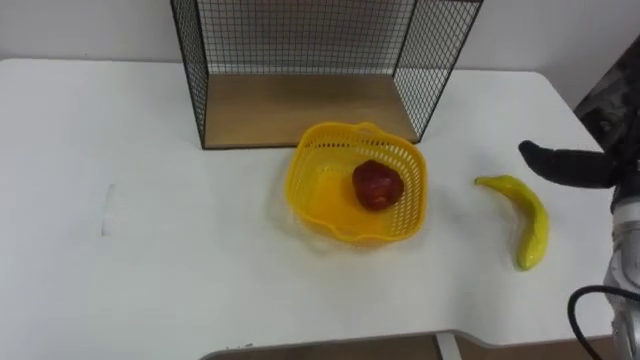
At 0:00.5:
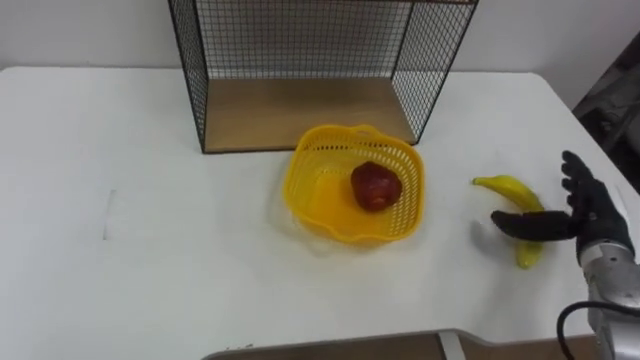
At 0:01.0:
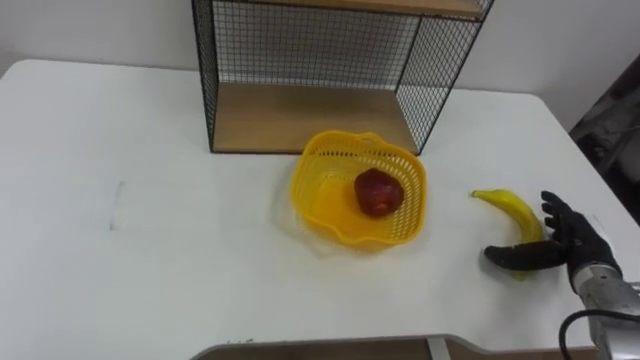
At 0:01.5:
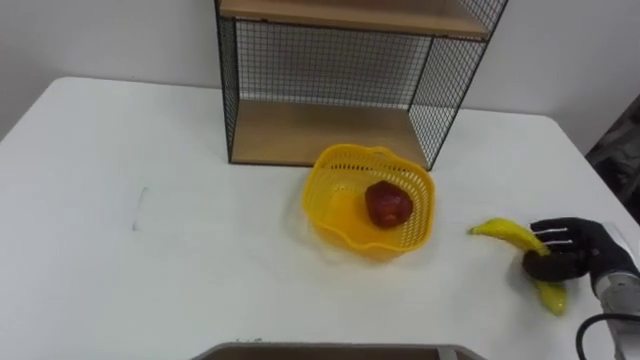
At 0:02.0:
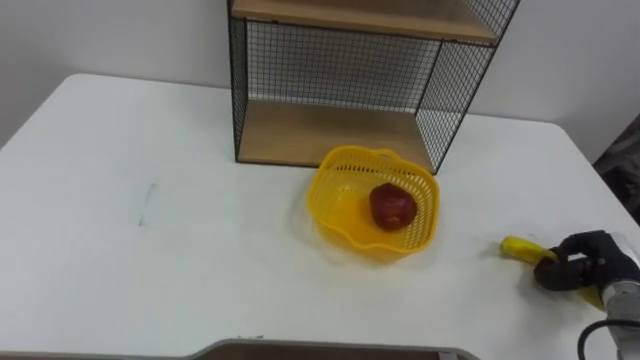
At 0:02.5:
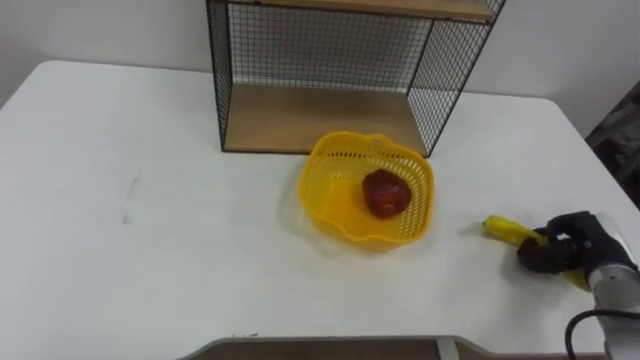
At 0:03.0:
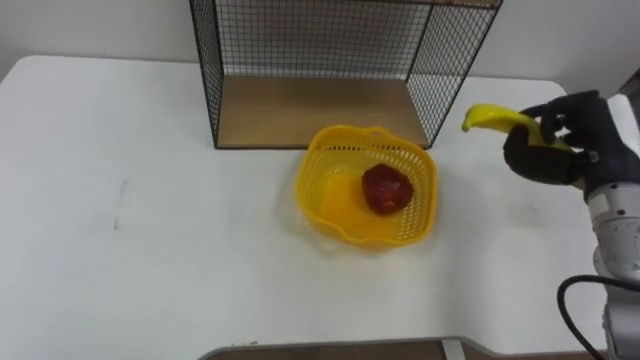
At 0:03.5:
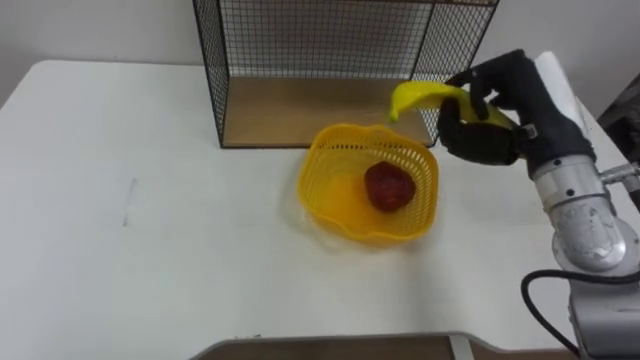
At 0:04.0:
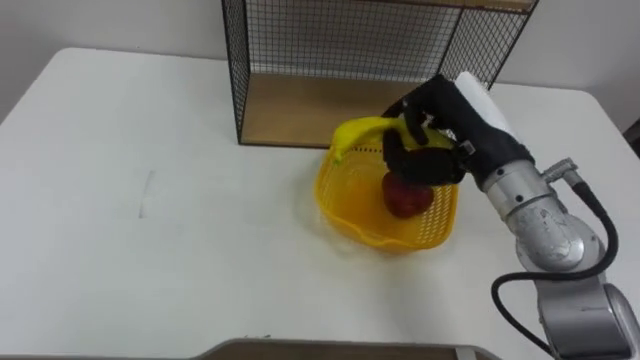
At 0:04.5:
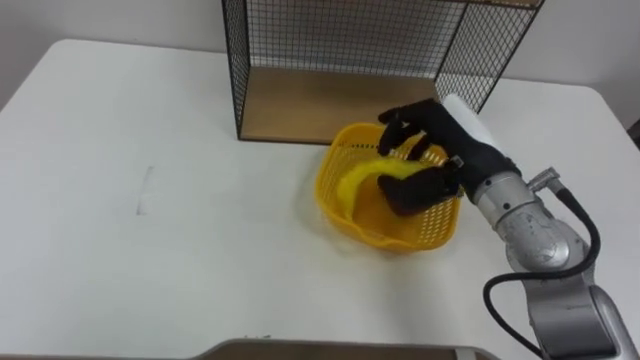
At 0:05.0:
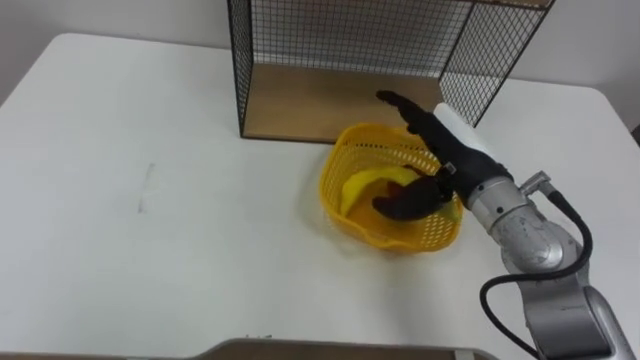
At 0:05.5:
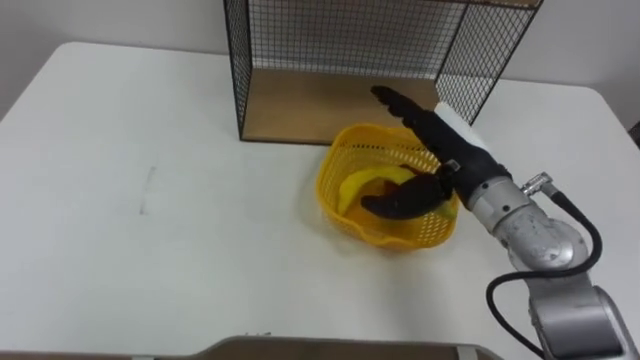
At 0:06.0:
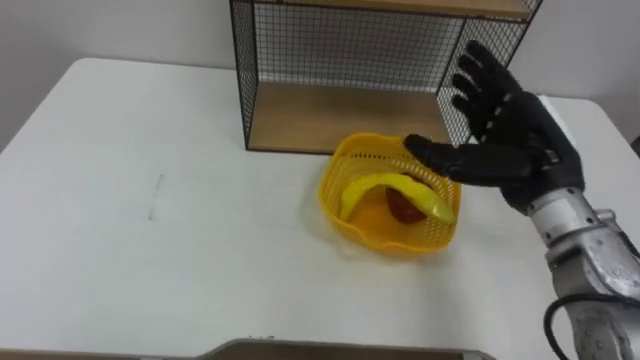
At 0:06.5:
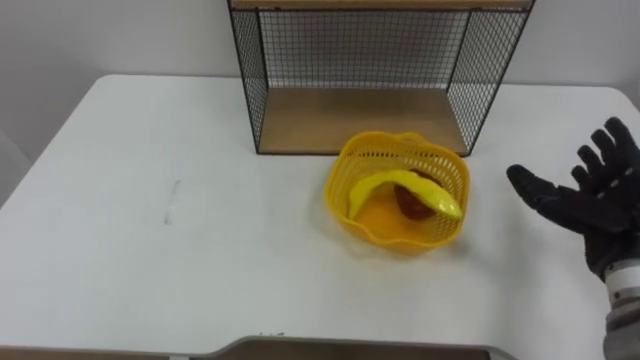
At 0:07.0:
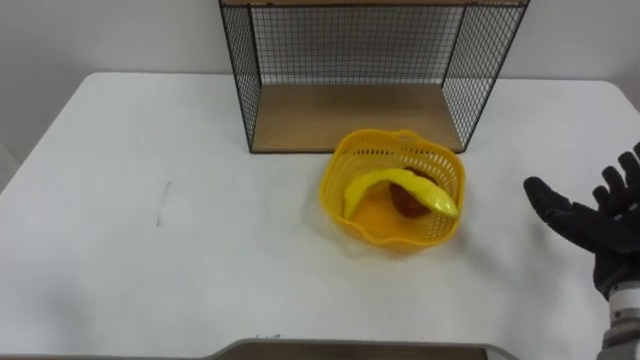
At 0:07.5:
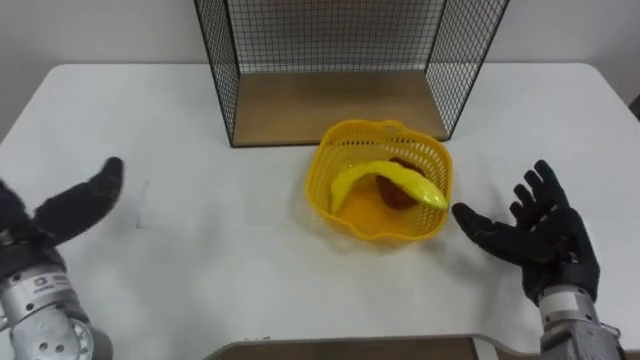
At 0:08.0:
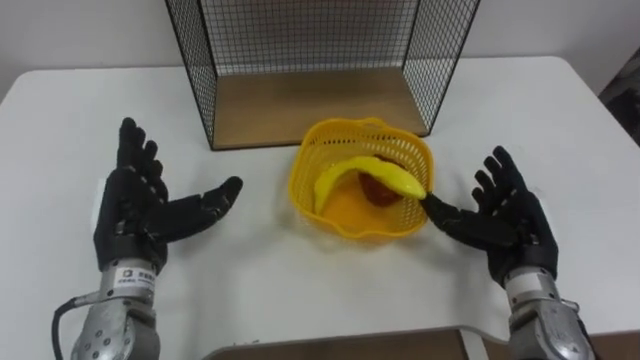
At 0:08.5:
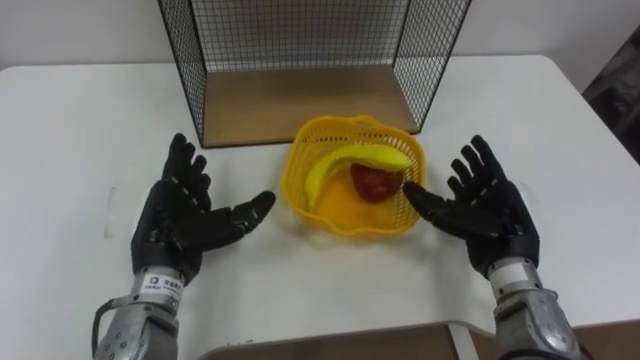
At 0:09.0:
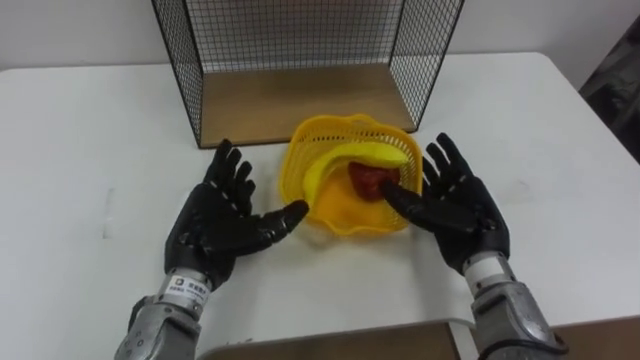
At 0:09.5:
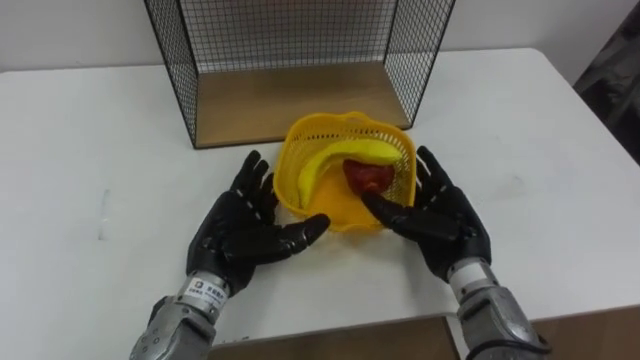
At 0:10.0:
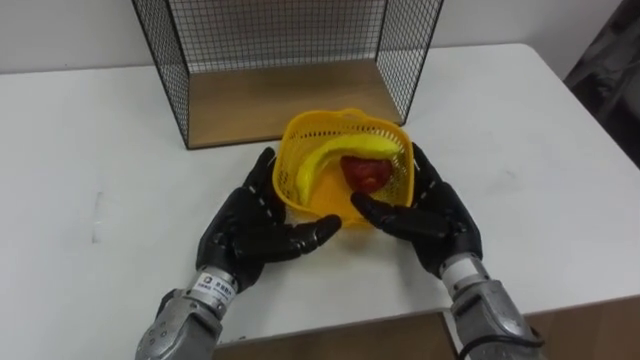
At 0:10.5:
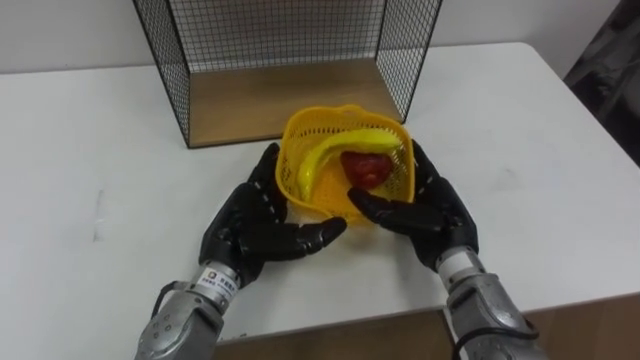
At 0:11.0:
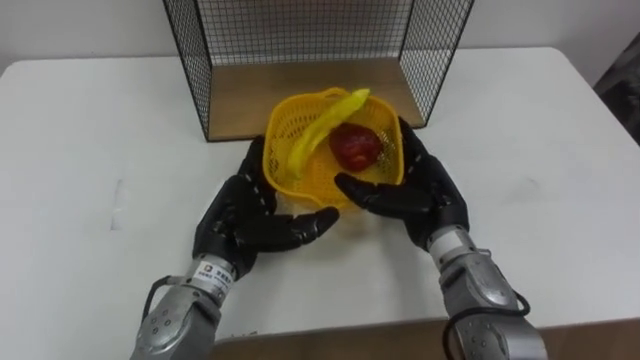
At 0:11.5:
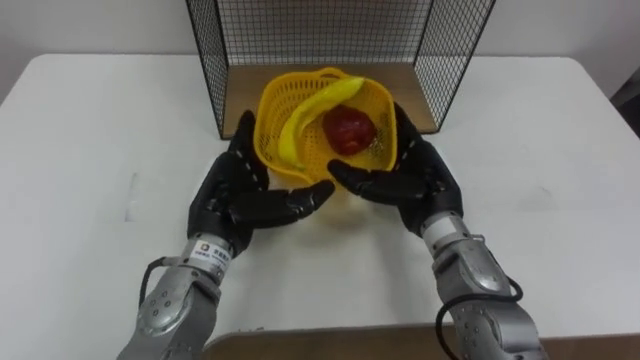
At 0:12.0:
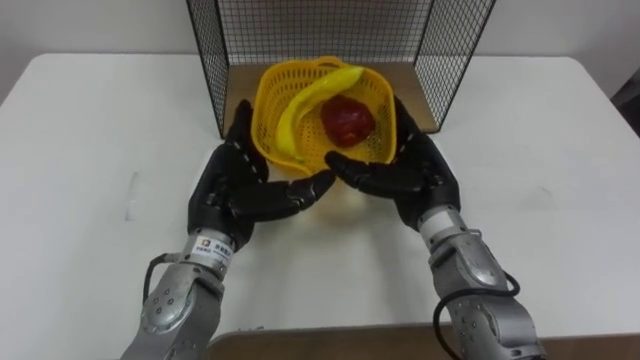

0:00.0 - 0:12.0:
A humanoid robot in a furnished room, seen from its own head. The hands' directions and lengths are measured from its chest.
Task of the whole recording: Put the fruit on the table into the basket, then place the basket on the shelf.
0:02.0 - 0:04.0: The right hand shifts some 30 cm to the left and upward.
0:04.0 - 0:06.0: The right hand heads to the right, covering roughly 5 cm, and opens.
0:08.0 - 0:10.0: The left hand is displaced to the right by some 10 cm; the right hand shifts some 10 cm to the left.
0:10.0 - 0:12.0: The right hand ends up some 5 cm from where it was; the left hand moves about 5 cm.

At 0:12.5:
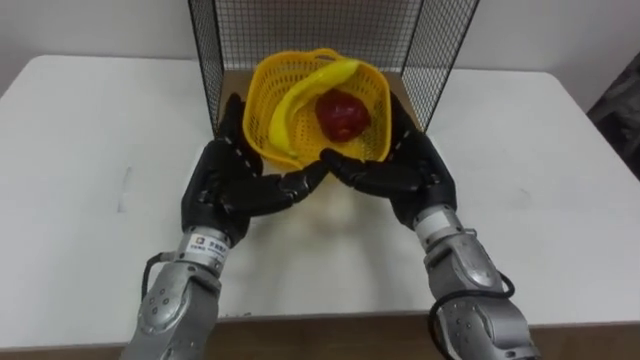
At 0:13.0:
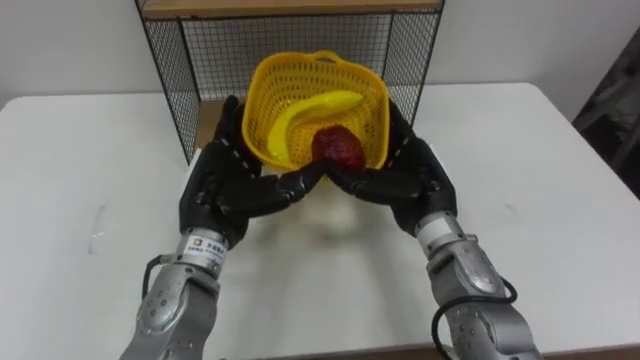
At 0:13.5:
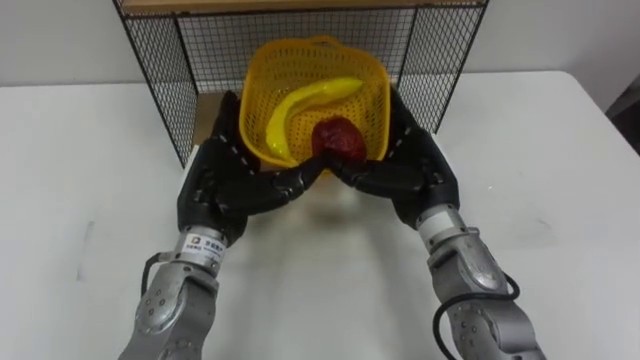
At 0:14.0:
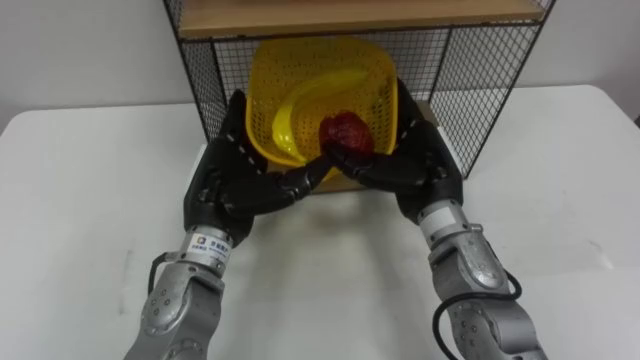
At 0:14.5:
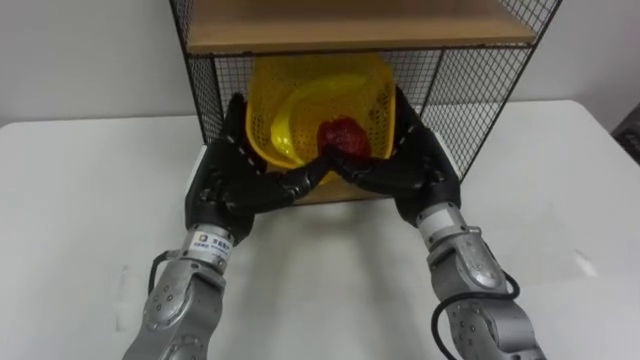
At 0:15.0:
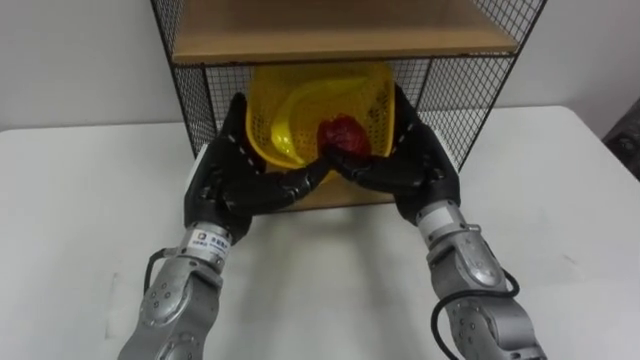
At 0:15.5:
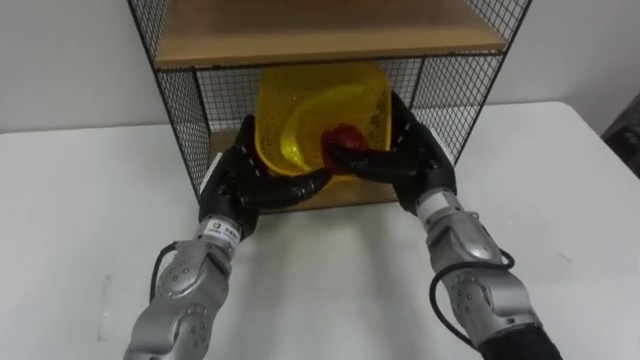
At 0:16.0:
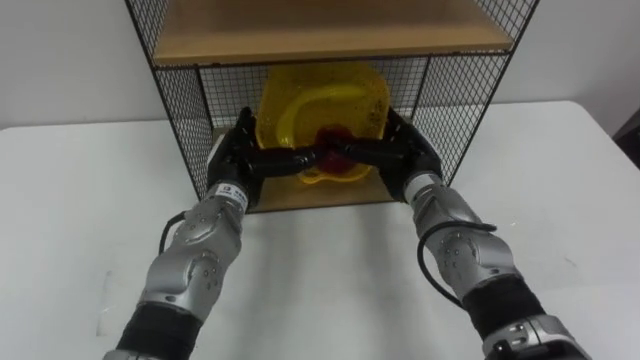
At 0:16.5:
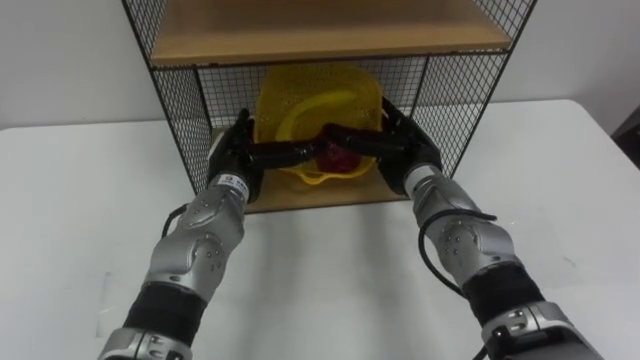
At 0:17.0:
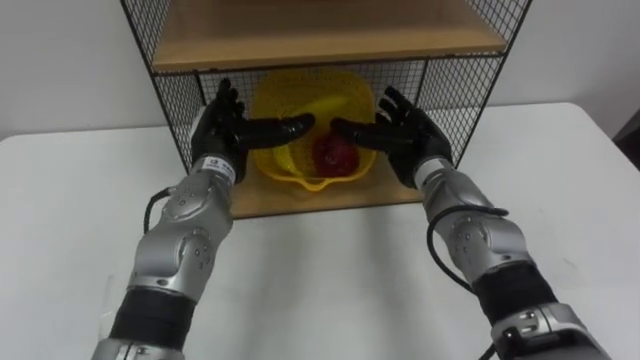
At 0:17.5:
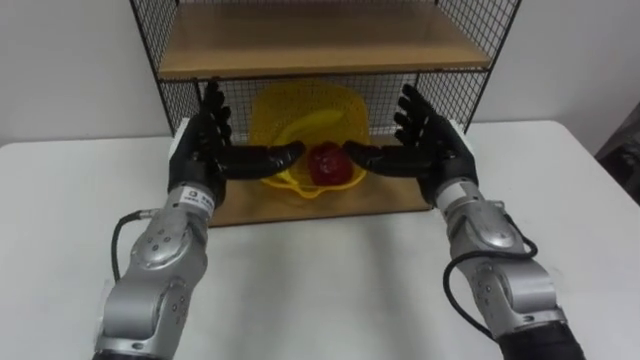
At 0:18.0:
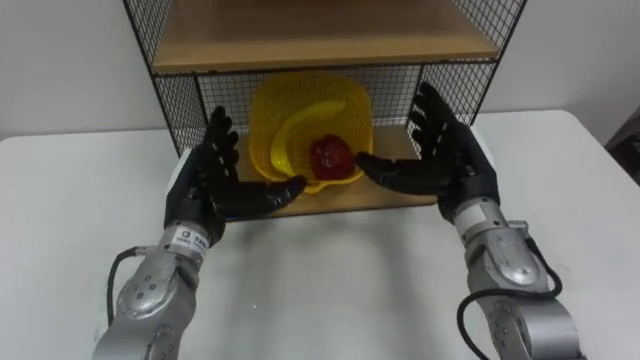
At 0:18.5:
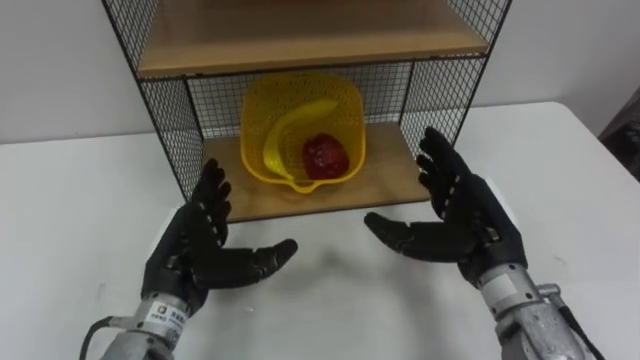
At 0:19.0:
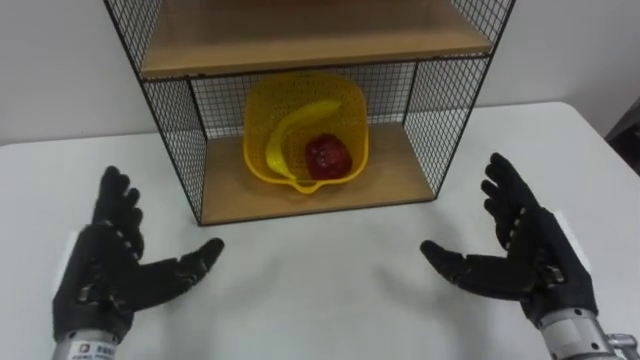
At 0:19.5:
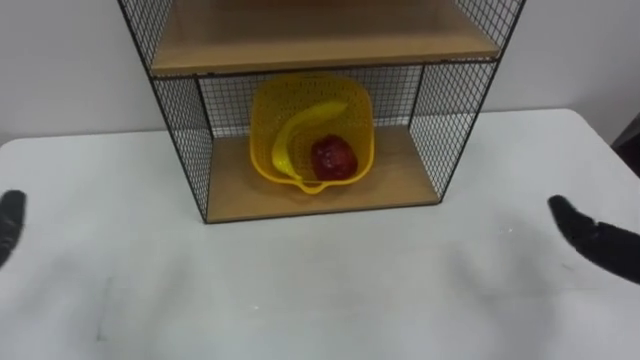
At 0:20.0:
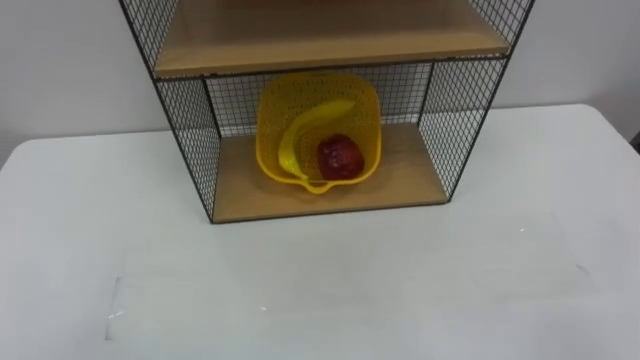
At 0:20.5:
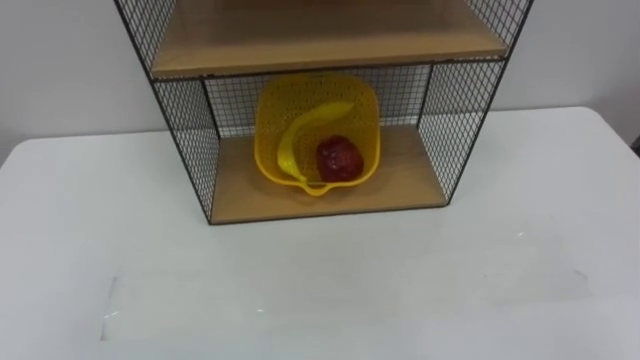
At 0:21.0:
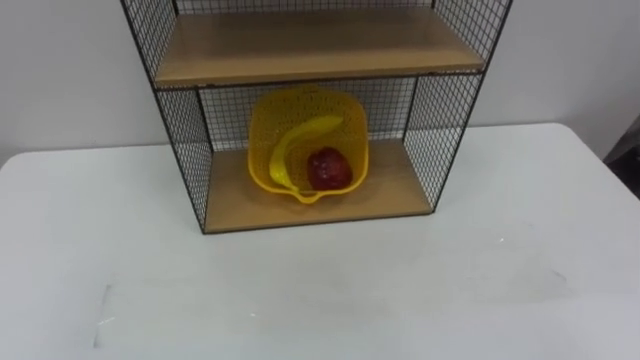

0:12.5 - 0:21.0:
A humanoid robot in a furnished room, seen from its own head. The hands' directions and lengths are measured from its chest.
Task of the whole recording: Put the fruit on the table into the basket, then place the basket on the shelf.
0:14.5 - 0:16.5: The two hands go roughly 5 cm forward.
0:16.5 - 0:19.0: The left hand moves backward and to the left, some 20 cm, while the right hand goes about 20 cm backward and to the right.
